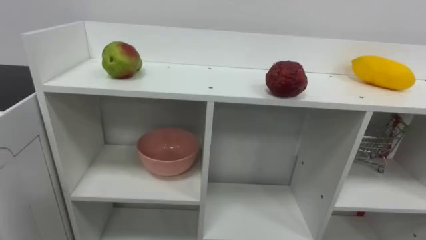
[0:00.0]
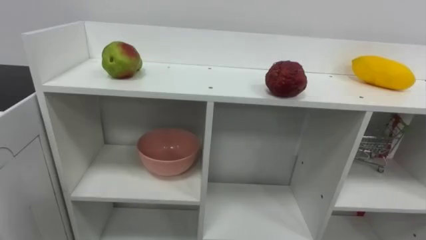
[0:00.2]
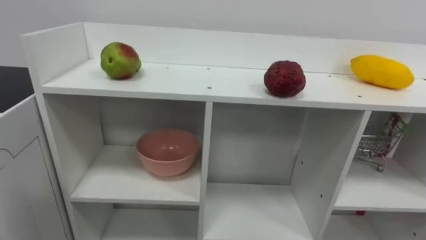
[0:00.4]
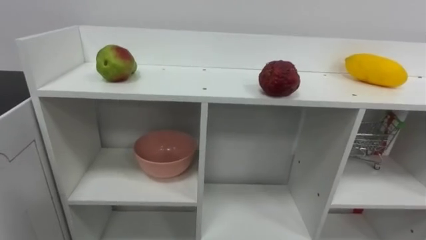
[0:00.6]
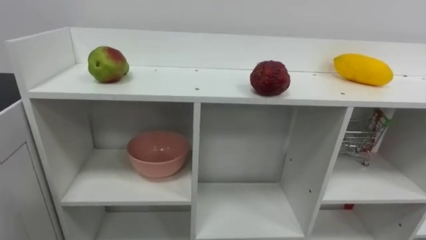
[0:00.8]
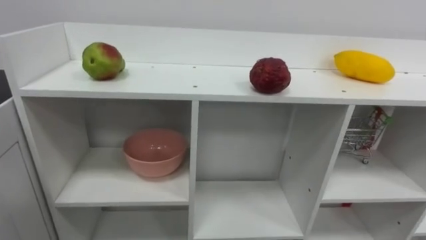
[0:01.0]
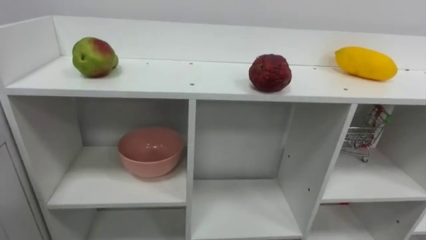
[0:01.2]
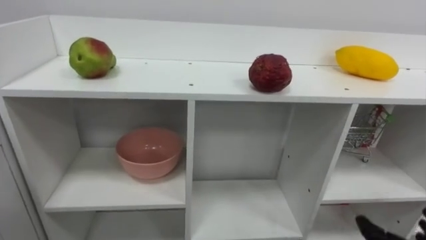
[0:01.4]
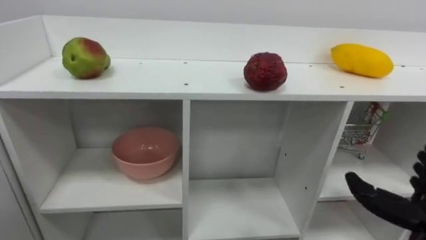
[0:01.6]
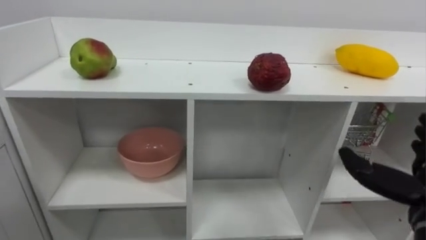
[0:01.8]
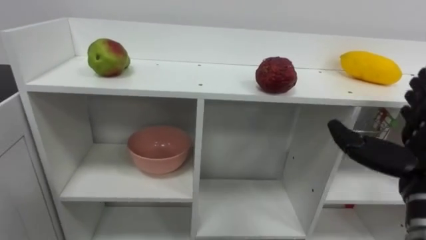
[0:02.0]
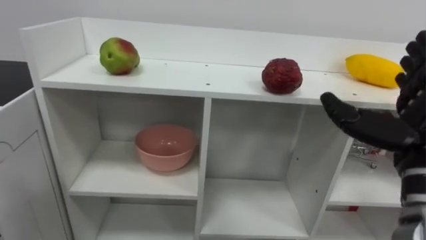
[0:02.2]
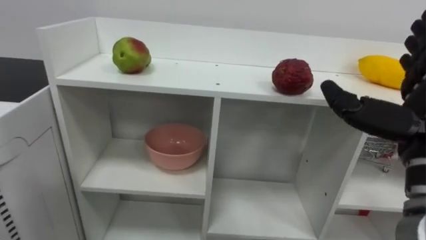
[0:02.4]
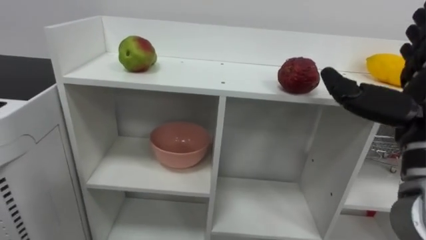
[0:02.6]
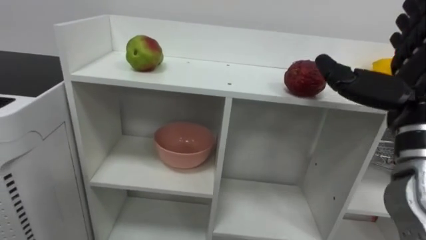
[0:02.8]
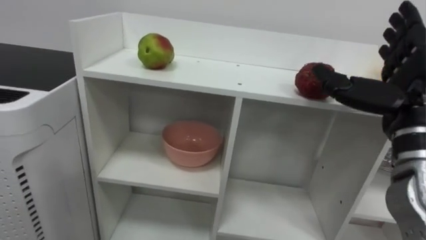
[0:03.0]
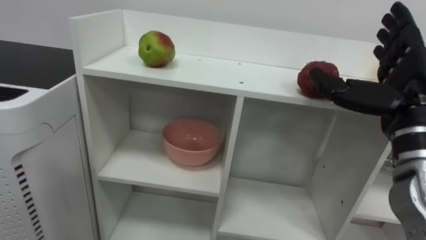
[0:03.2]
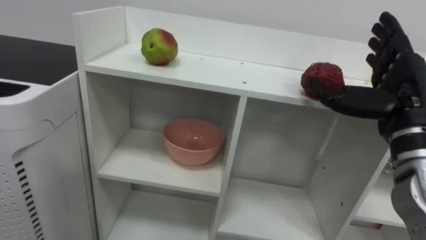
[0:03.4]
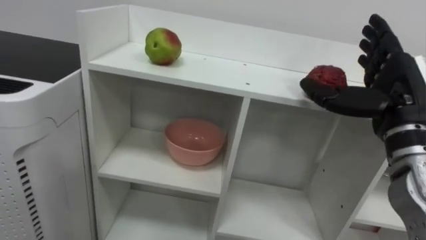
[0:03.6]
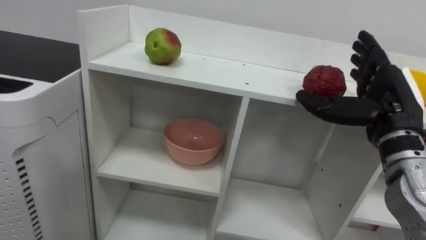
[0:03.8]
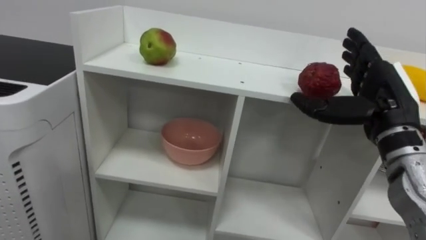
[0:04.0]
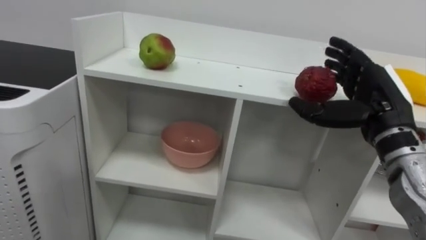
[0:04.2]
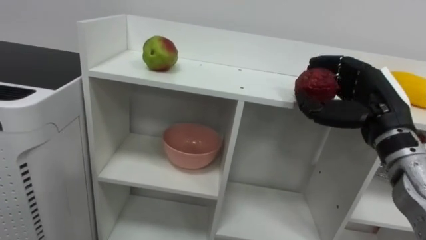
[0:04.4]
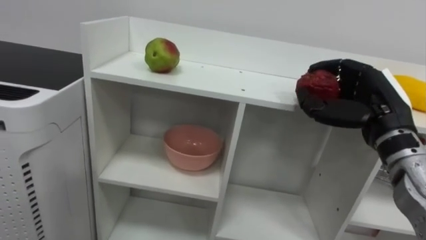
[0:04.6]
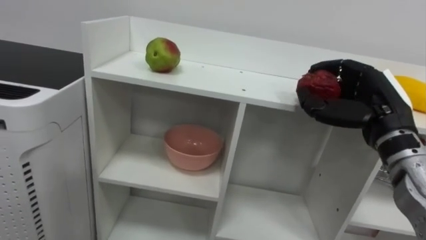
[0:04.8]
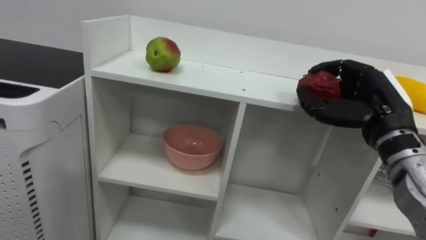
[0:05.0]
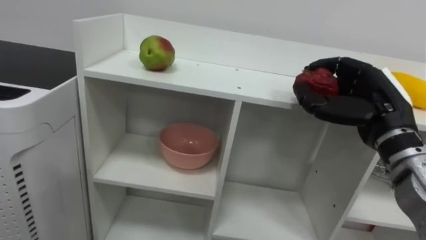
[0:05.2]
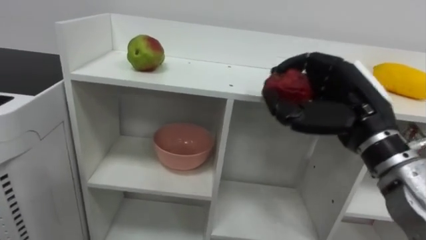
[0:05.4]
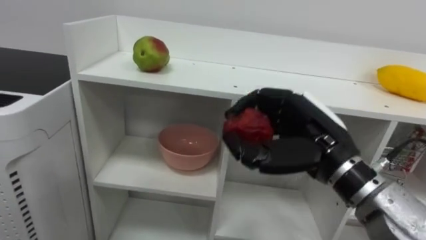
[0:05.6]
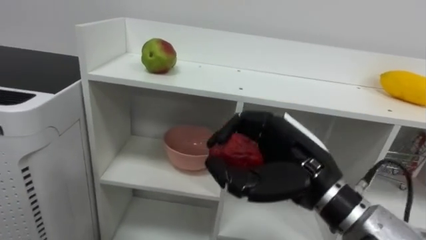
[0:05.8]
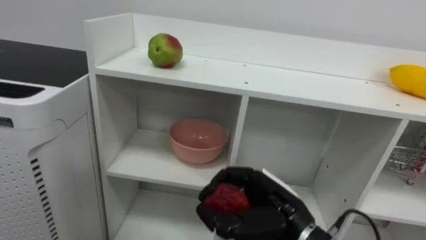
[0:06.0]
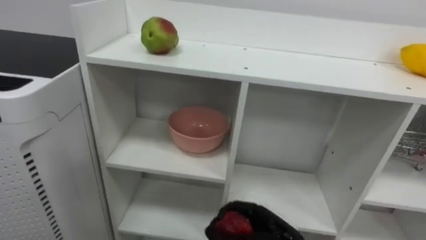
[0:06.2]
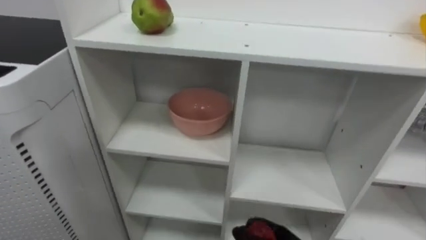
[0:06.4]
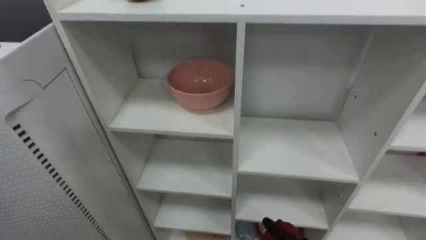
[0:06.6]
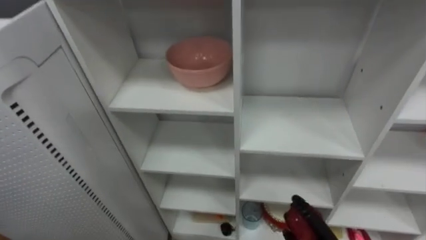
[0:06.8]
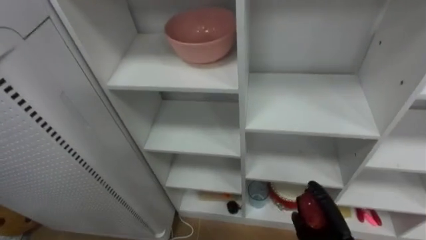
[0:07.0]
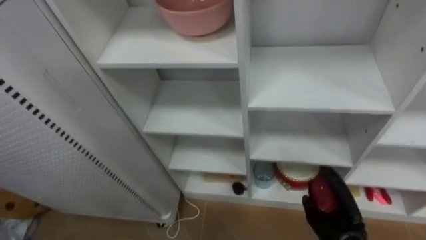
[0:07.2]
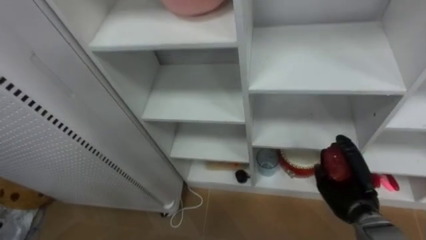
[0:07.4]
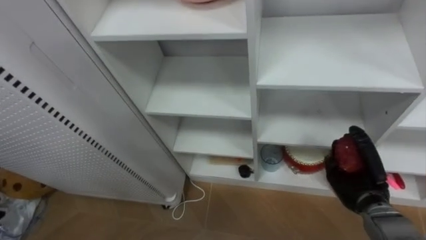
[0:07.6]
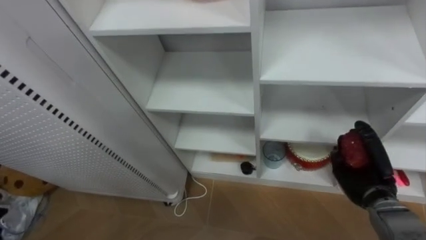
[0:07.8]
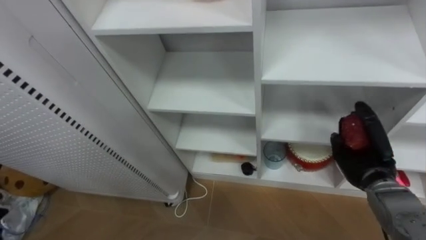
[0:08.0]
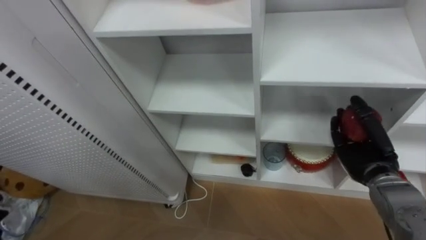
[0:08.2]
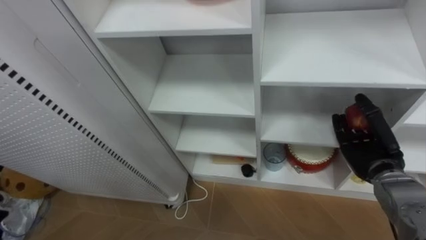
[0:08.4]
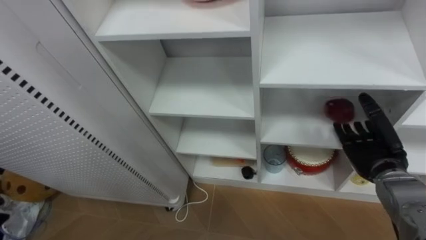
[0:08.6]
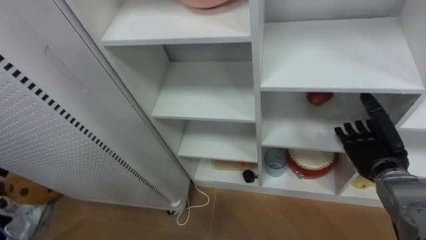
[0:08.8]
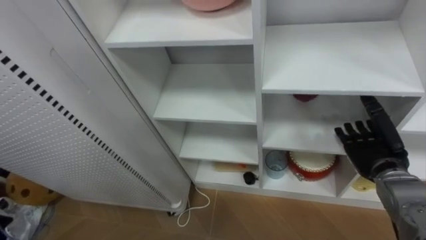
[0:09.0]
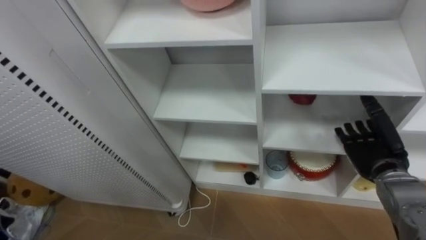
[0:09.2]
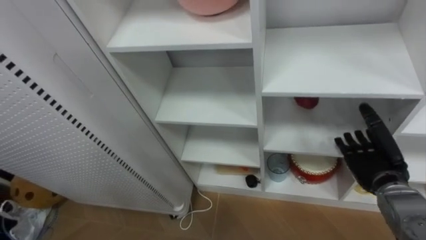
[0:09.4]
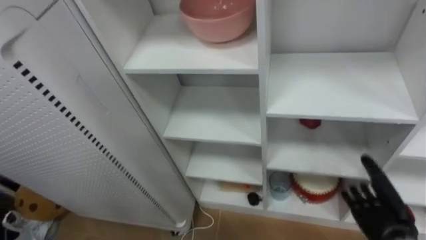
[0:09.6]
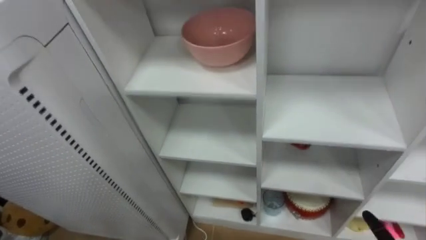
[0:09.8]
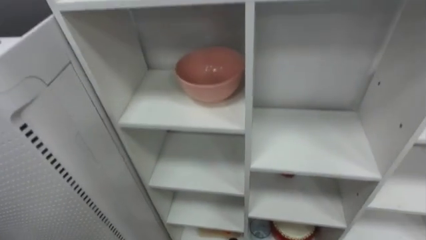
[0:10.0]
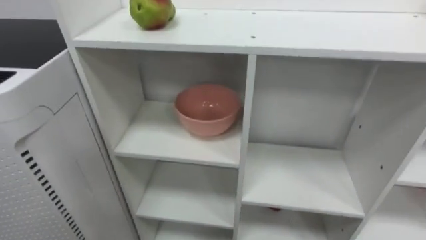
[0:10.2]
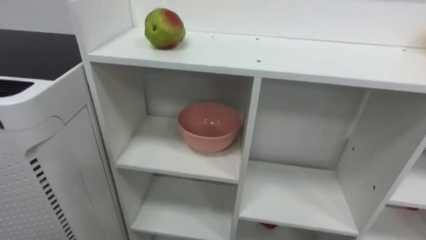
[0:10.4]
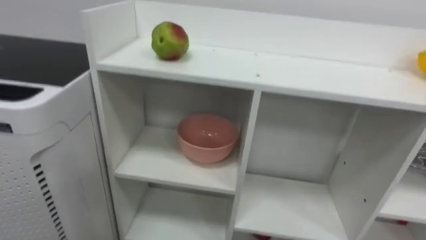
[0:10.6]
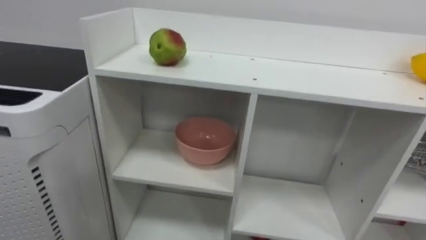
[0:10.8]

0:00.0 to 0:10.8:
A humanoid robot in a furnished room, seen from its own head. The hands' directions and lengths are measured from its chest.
Task of the whole recording: Put the apple in the cell in the second column from the left and the second row from the top.
0:03.0 to 0:04.6: The right hand moves some 5 cm, and closes.
0:04.6 to 0:06.2: The right hand goes approximately 25 cm downward, to the left and backward.
0:07.8 to 0:09.2: The right hand shifts roughly 5 cm upward, and opens.

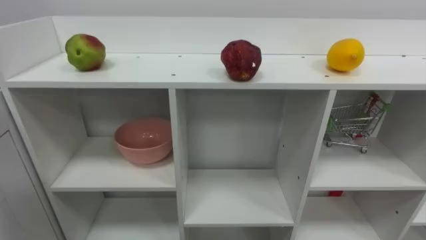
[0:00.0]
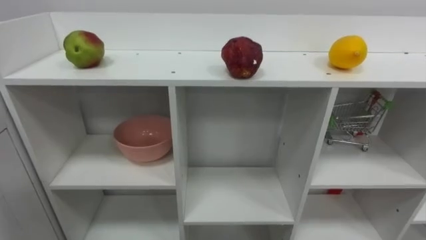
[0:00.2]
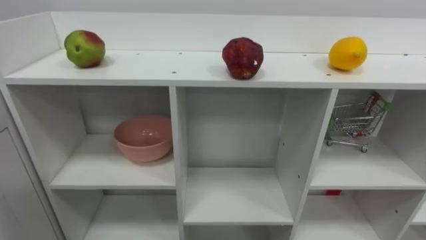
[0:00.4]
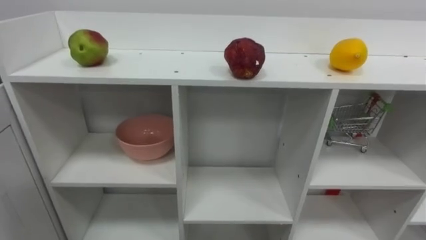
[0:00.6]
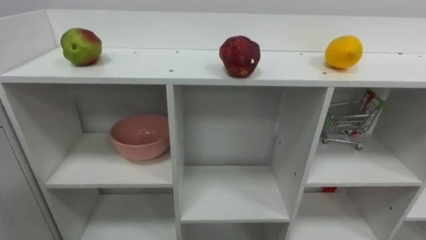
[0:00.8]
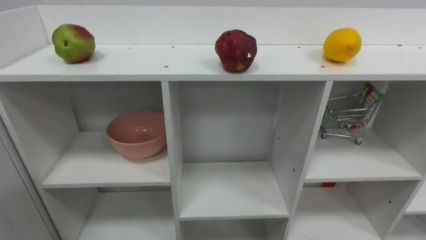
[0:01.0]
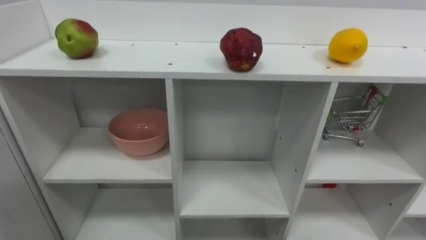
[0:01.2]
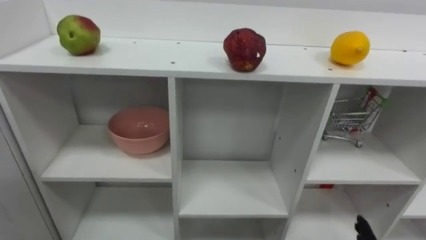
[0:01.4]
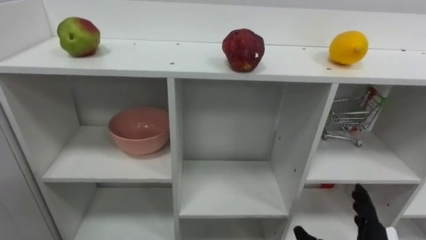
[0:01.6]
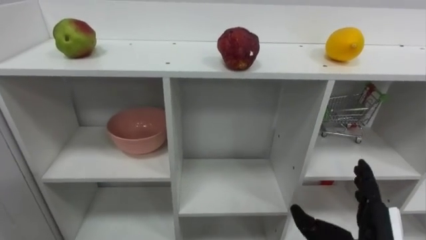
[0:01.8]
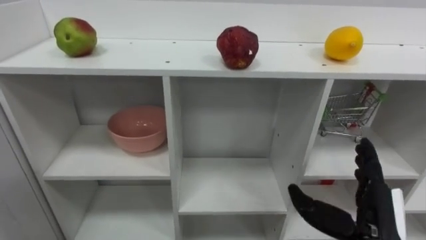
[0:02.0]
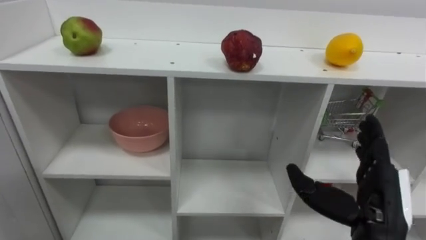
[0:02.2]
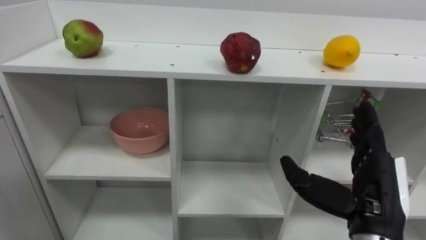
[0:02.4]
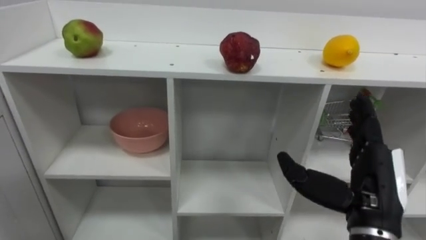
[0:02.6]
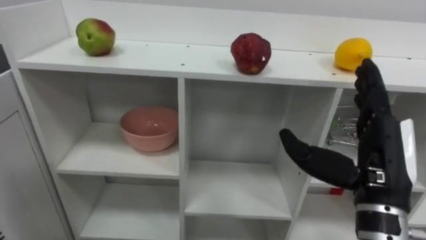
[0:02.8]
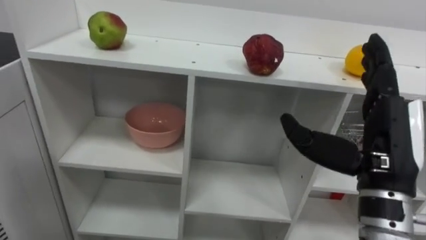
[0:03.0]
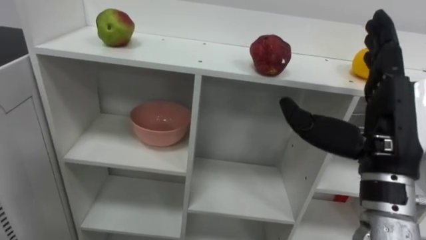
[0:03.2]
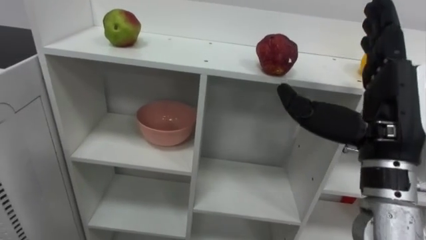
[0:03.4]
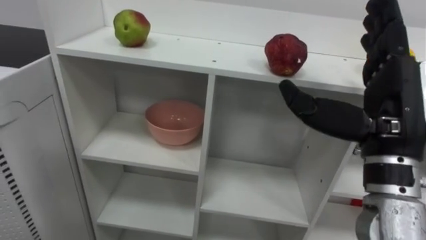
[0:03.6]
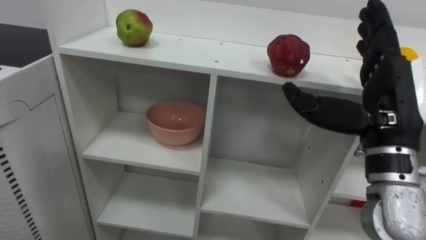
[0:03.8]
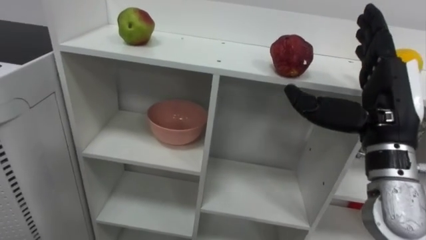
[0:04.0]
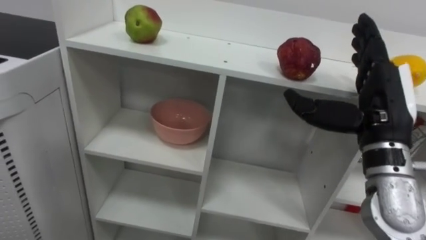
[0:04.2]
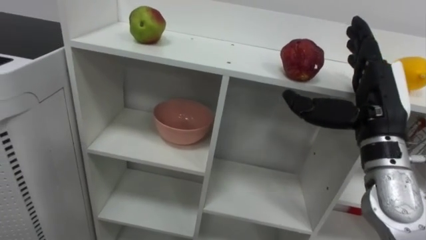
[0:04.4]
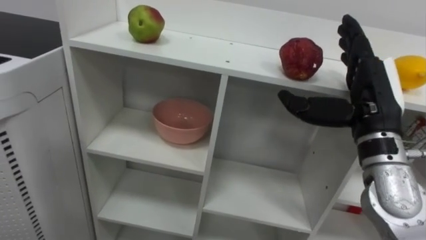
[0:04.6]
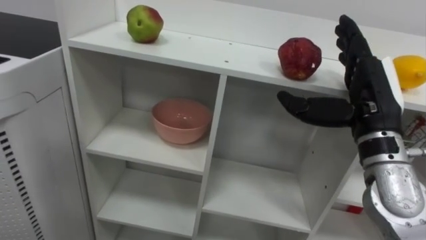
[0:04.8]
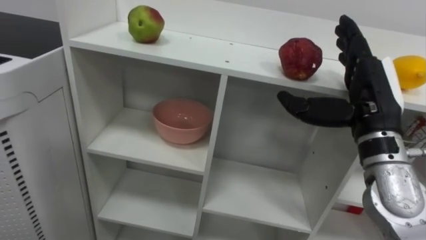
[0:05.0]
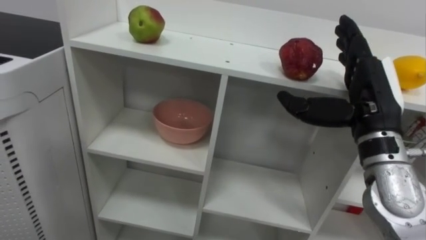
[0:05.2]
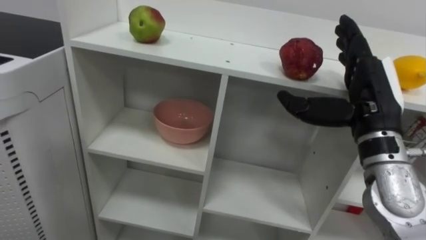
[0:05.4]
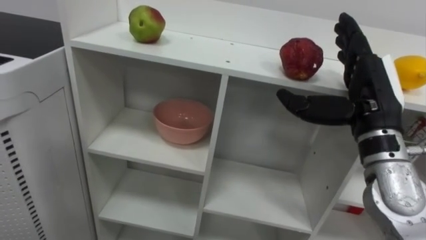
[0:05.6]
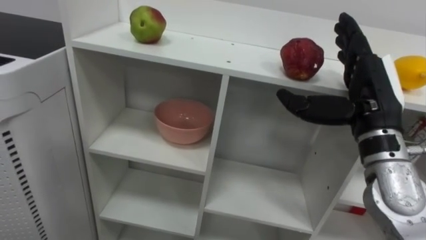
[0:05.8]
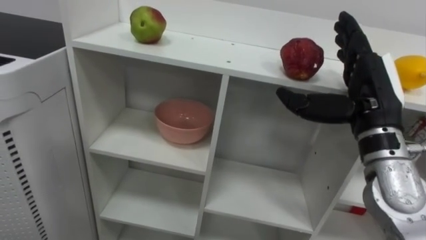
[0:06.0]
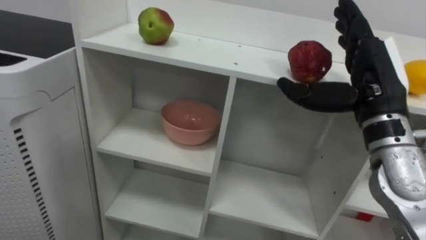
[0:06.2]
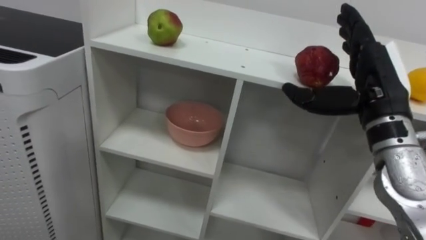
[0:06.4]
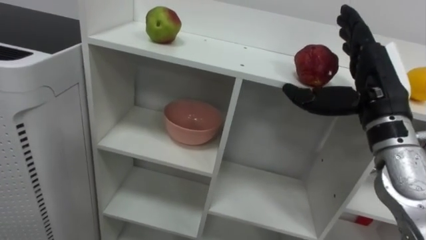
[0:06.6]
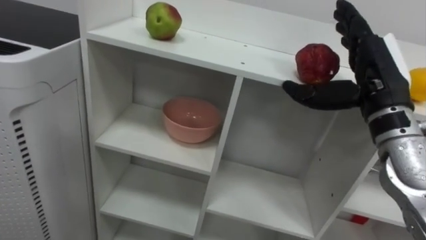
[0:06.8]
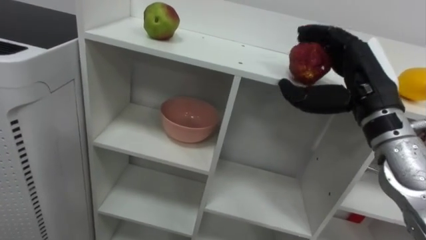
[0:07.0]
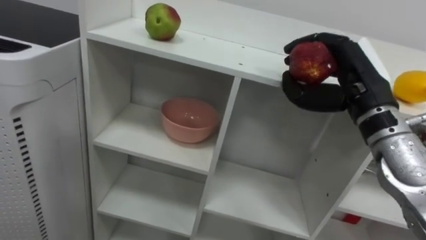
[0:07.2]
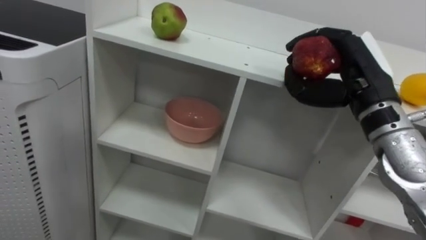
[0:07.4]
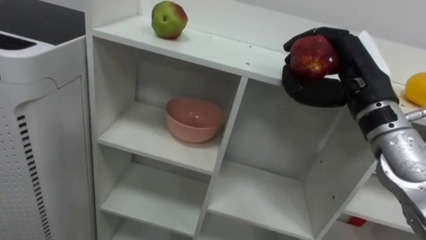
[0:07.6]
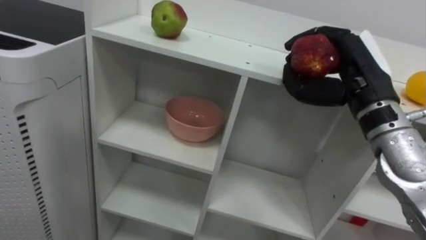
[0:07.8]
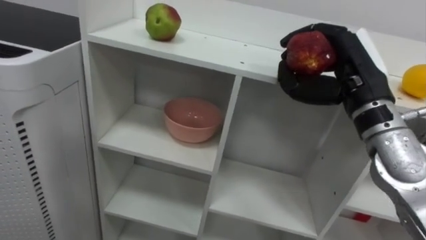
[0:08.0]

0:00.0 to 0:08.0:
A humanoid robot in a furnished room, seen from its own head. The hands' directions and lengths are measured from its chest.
Task of the whole recording: Put the apple in the cell in the second column from the left and the second row from the top.
0:03.2 to 0:04.8: The right hand is displaced forward by approximately 5 cm.
0:06.4 to 0:08.0: The right hand closes up.
